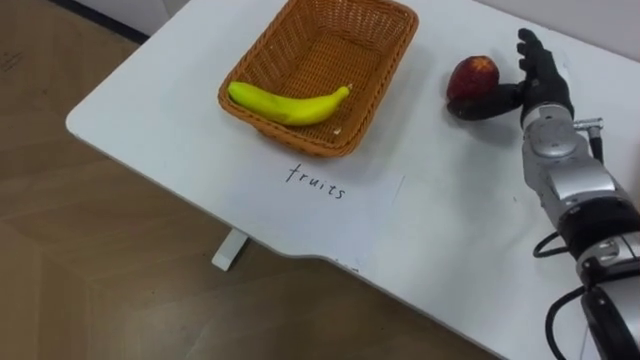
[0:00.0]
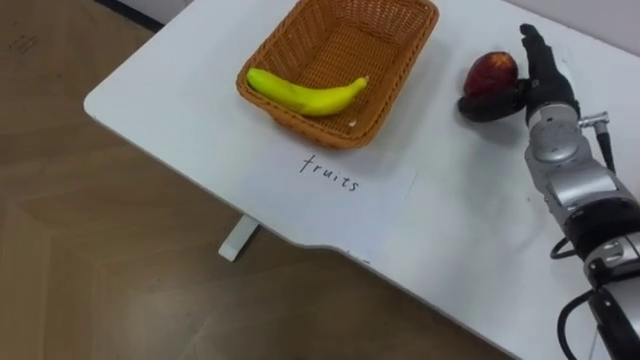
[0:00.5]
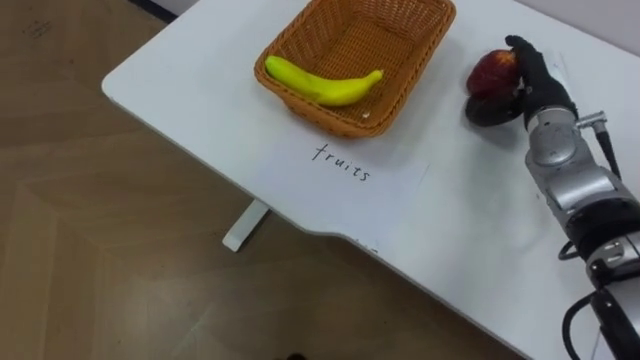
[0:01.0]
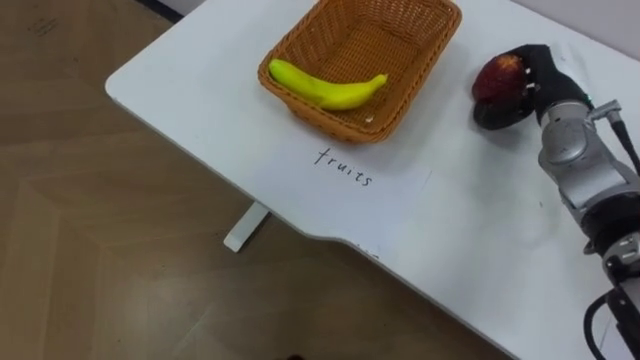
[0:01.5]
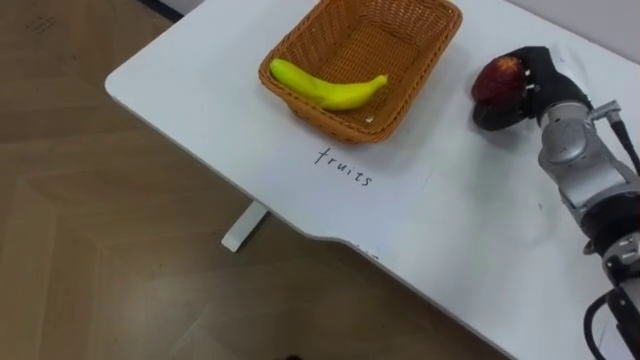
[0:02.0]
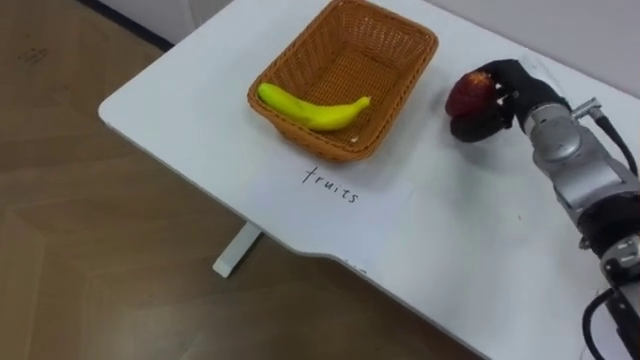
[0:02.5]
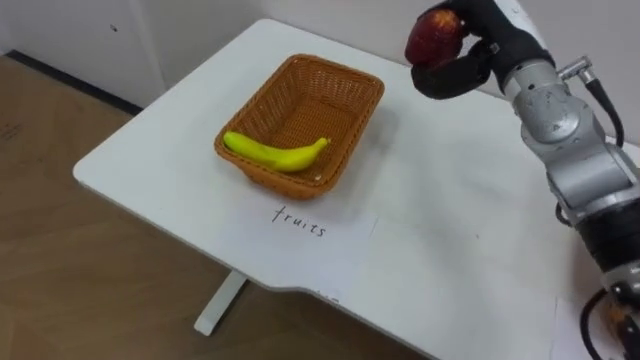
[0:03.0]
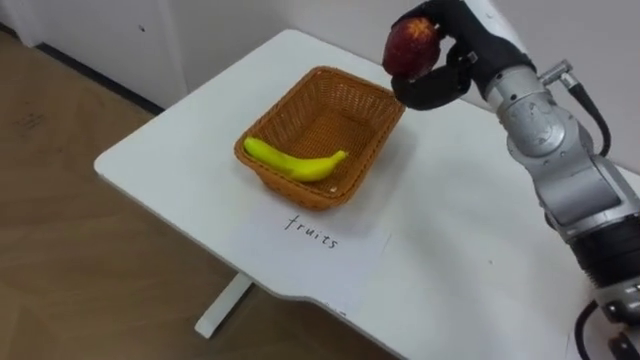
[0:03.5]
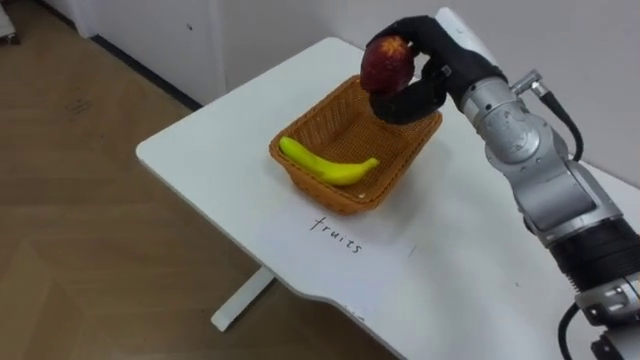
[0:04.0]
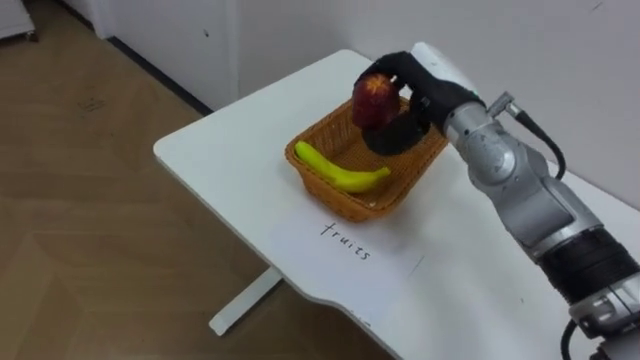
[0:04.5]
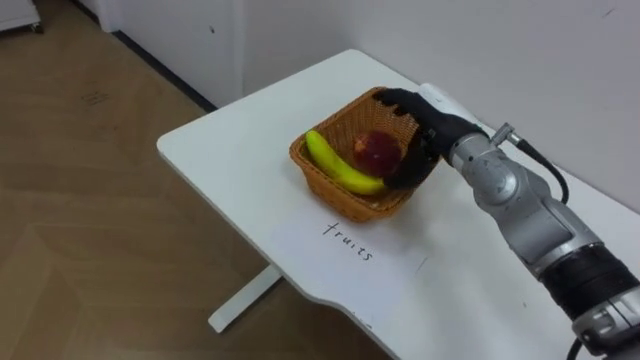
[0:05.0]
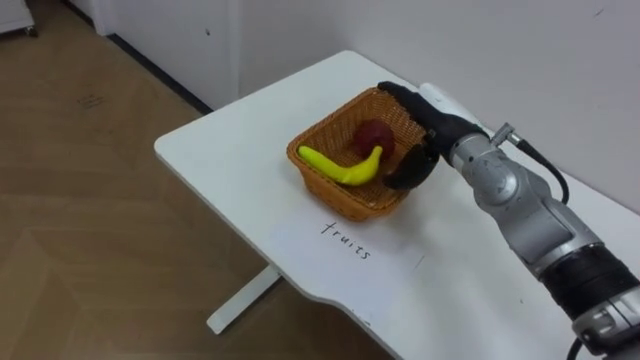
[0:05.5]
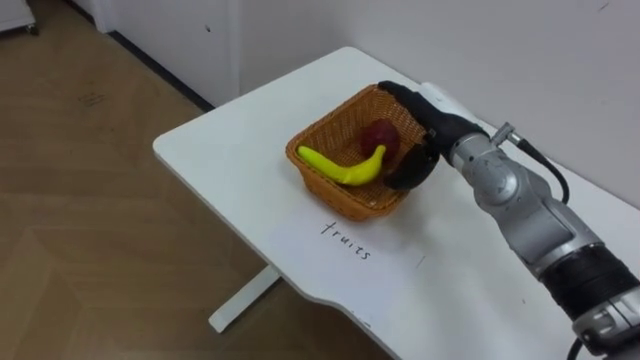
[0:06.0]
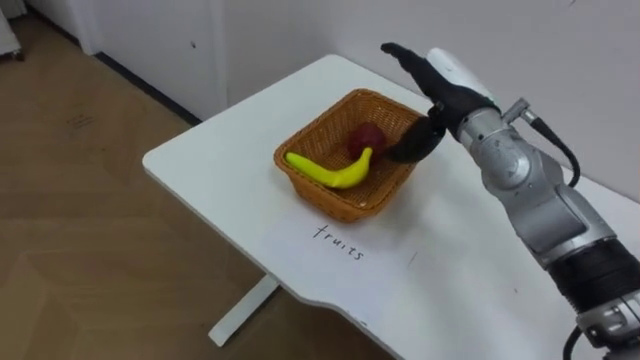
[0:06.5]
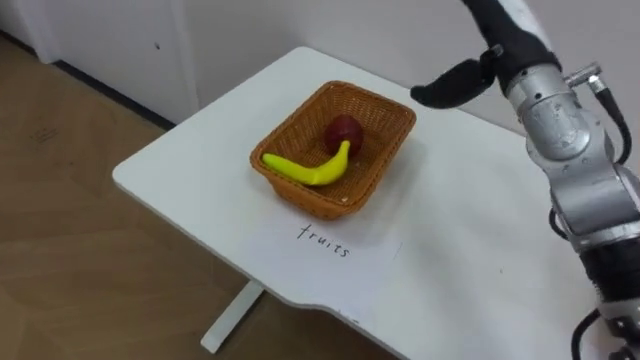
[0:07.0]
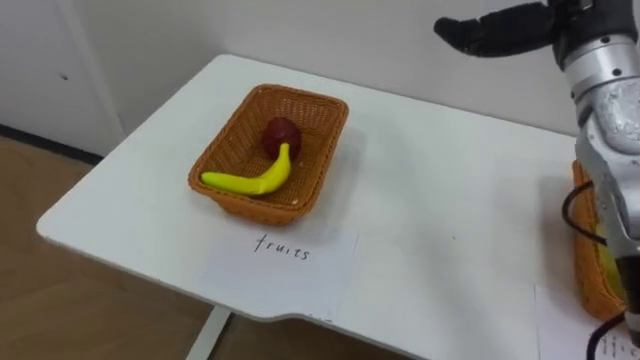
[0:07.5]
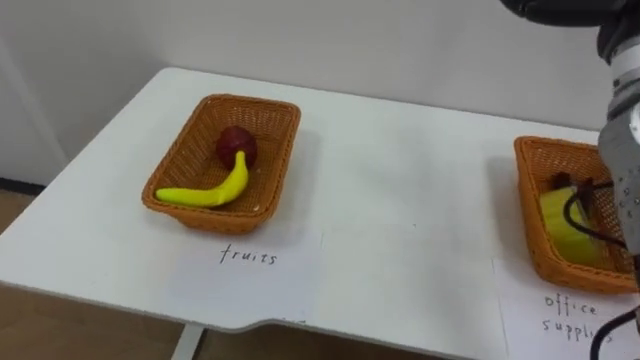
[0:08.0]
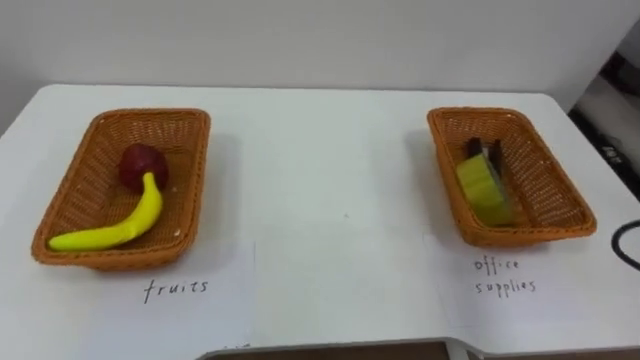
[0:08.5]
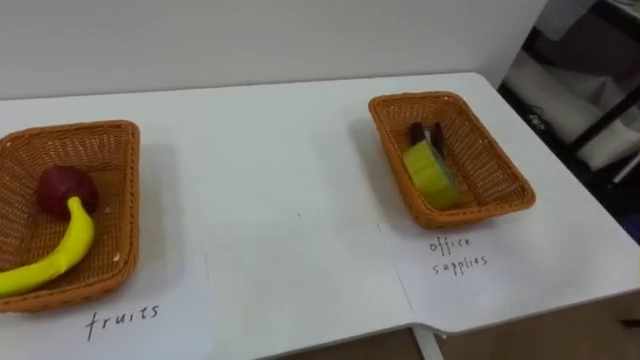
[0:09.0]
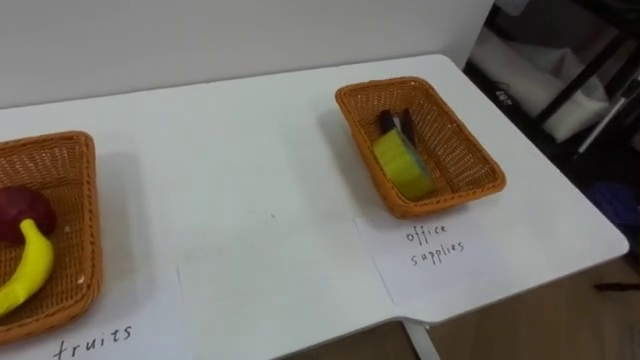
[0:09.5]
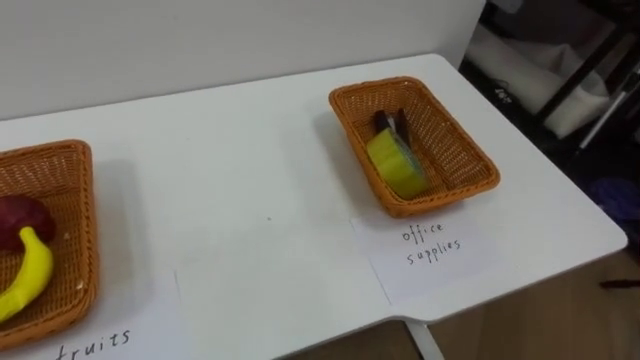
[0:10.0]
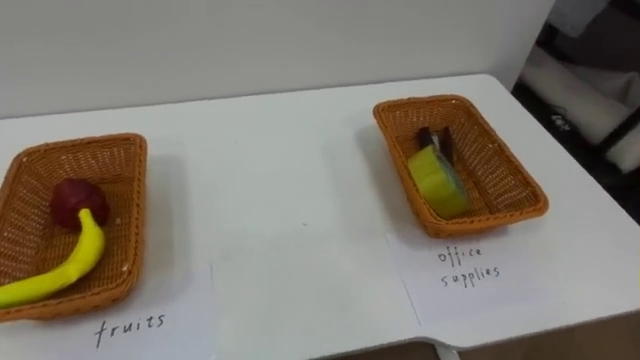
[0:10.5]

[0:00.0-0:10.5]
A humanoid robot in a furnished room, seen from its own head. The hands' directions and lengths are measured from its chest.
Task of the whole recording: Separate the items on the table and place them into the two baskets.
0:00.0 to 0:02.0: The right hand closes up.
0:02.0 to 0:04.0: The right hand travels to the left and upward by about 15 cm.
0:04.0 to 0:06.5: The right hand opens.

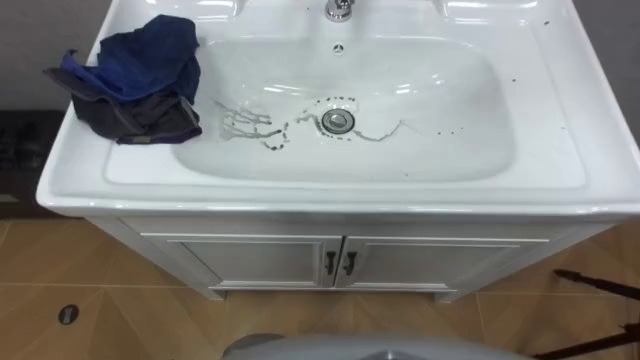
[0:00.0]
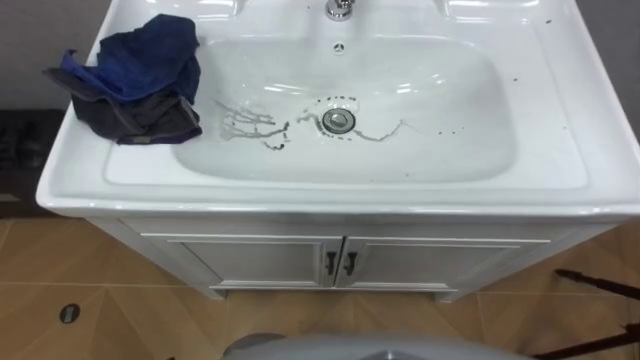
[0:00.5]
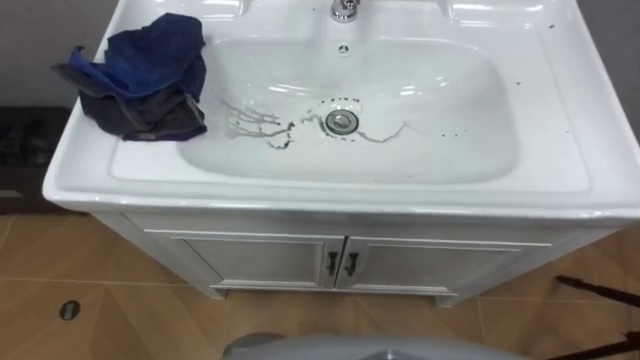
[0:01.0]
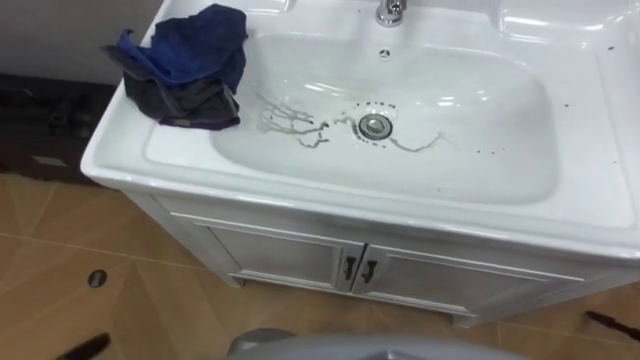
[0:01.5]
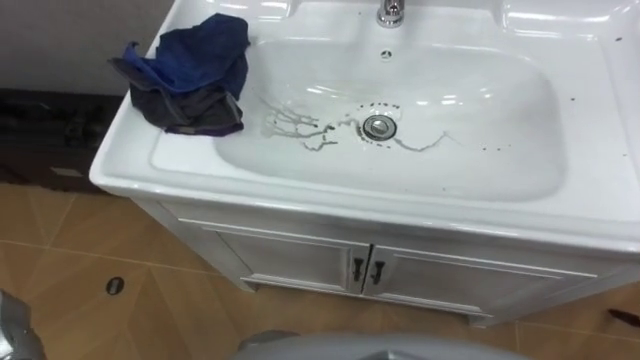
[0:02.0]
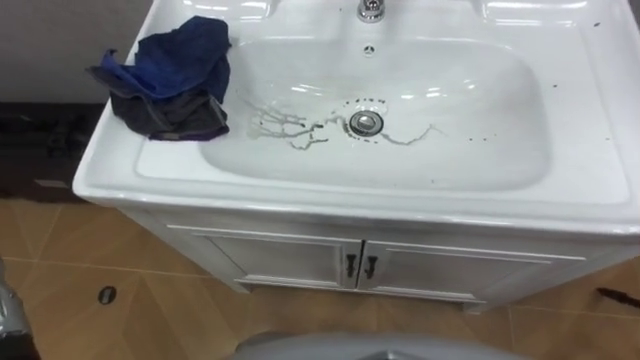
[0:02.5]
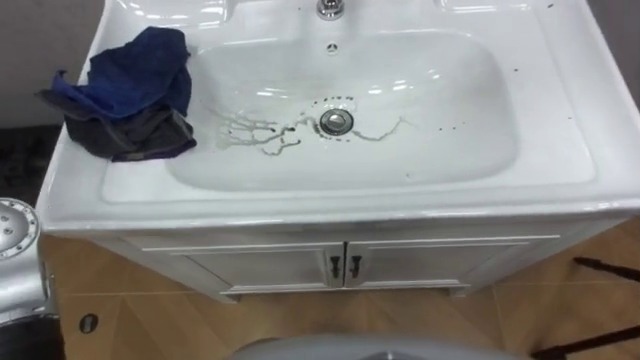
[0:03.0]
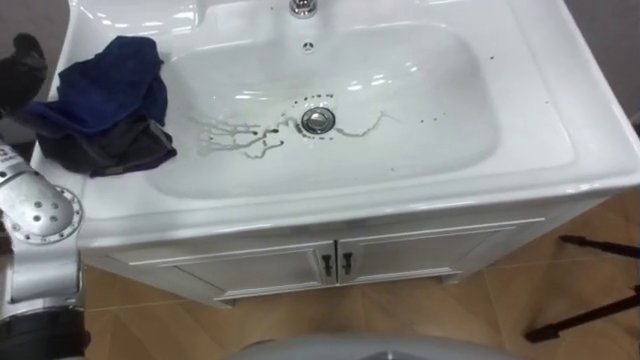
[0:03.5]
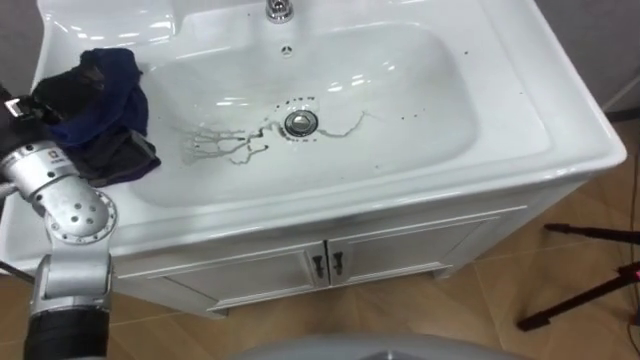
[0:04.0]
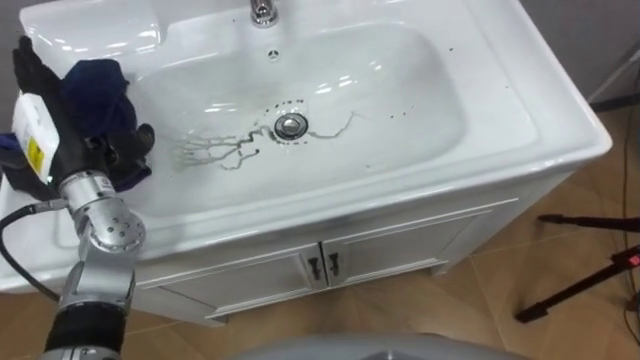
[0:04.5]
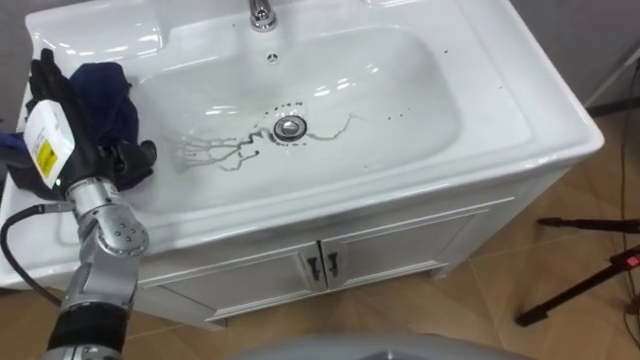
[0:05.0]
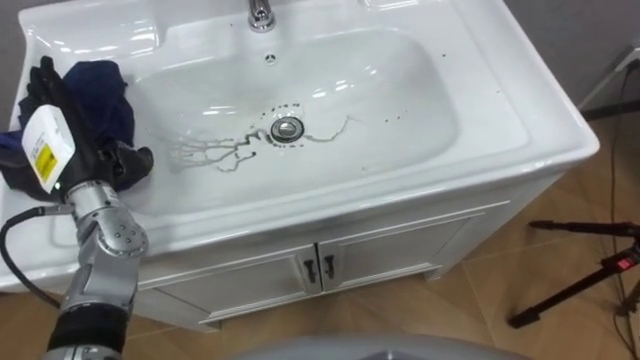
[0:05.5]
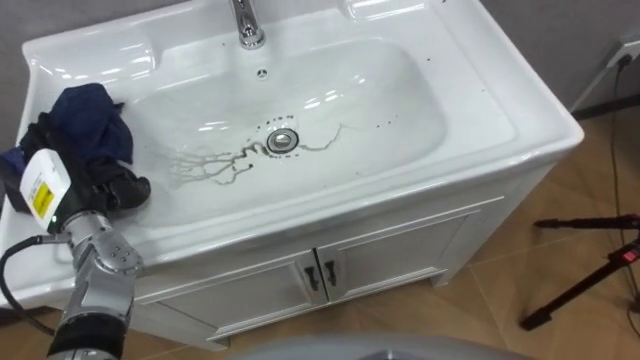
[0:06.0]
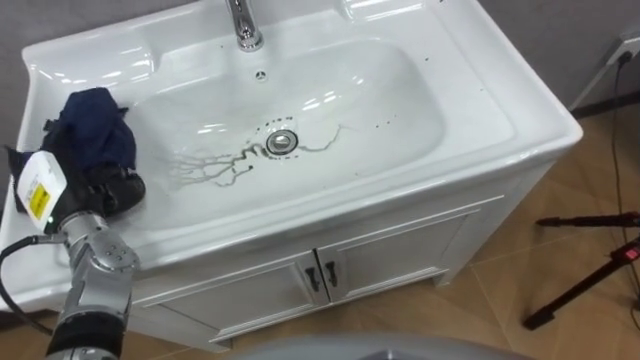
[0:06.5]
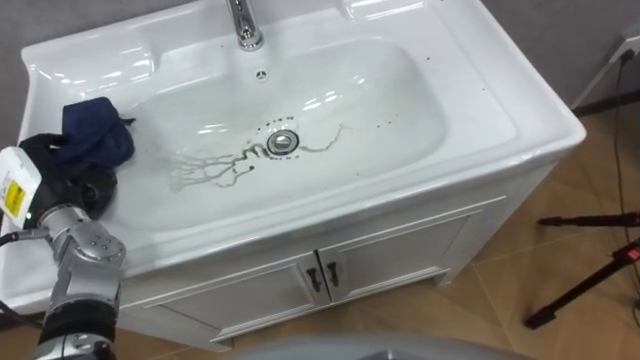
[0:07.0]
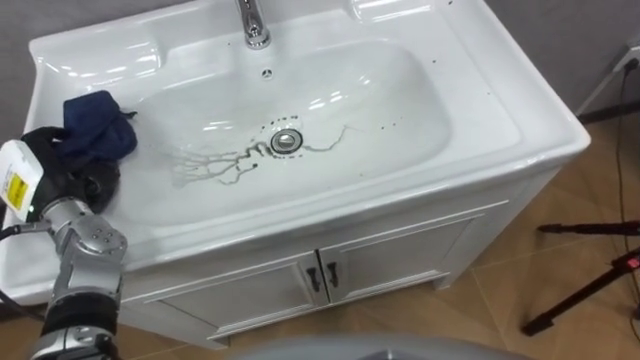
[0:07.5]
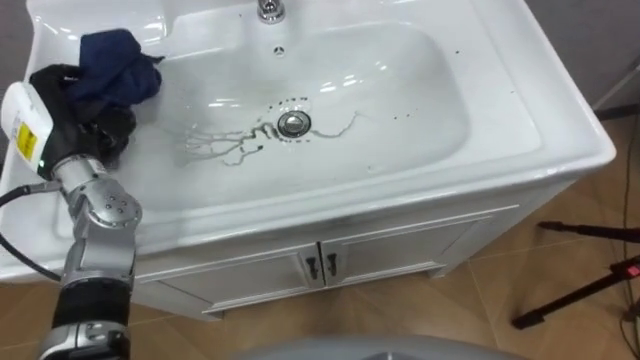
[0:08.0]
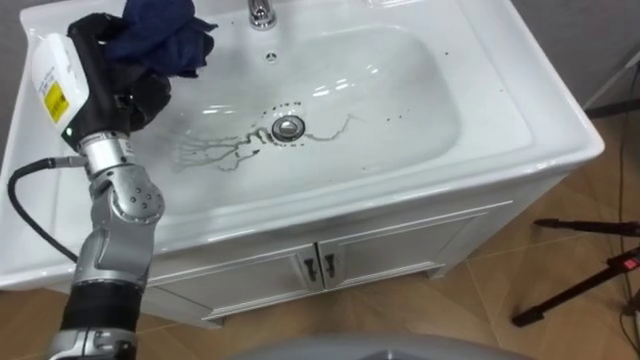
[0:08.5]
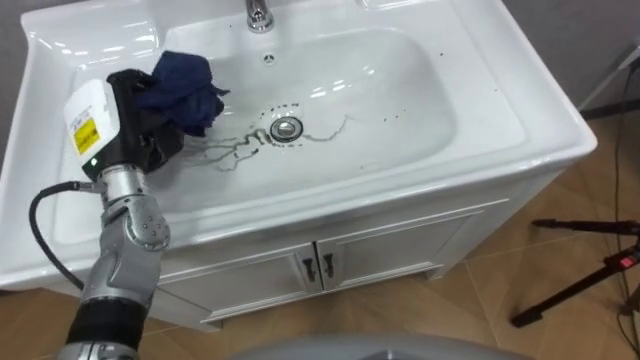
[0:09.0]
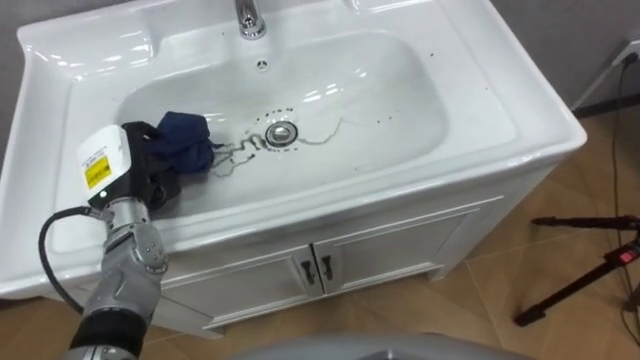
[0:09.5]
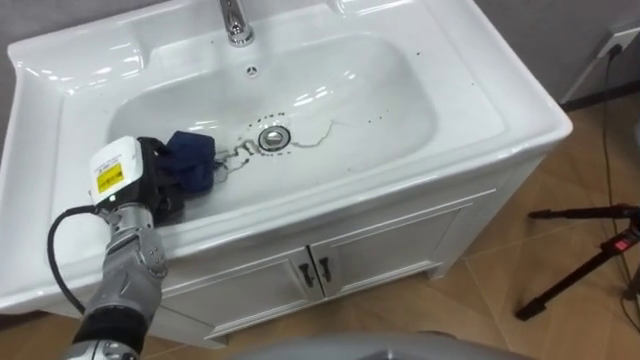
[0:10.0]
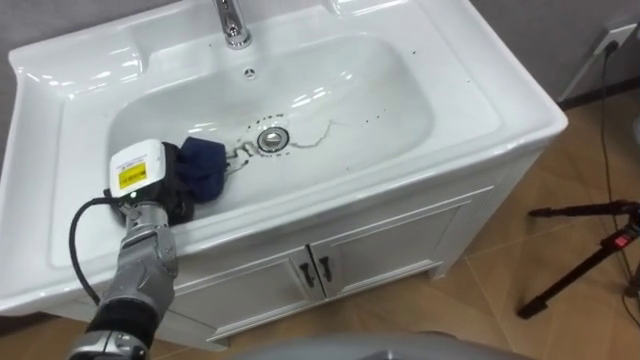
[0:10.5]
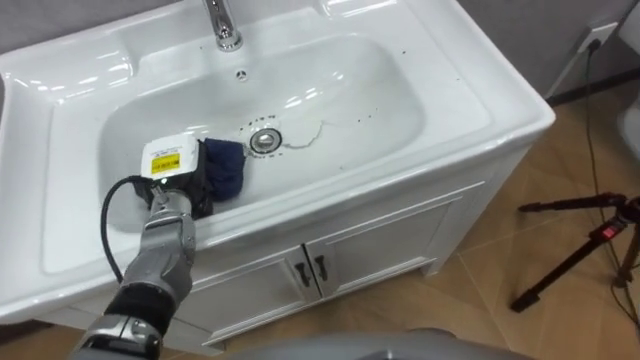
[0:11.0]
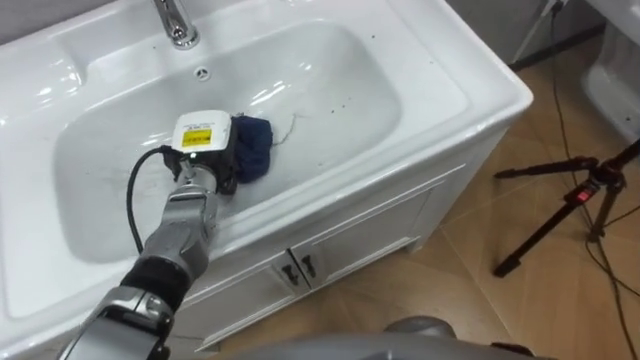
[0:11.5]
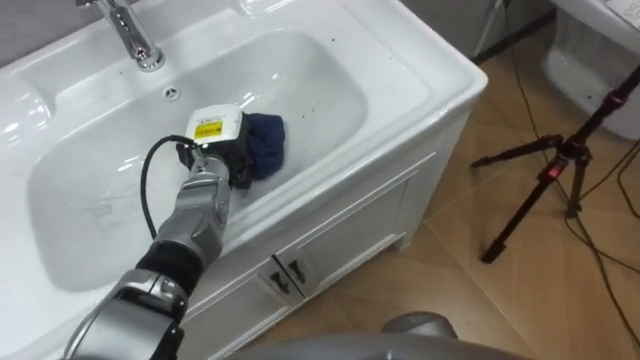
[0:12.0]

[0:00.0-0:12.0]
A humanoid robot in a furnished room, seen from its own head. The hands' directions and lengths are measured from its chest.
Task of the whole recording: Use the cloth on the right to wipe away the black stain in the sink.
0:06.0 to 0:08.0: The left hand moves upward, approximately 5 cm, and closes.
0:08.0 to 0:10.0: The left hand goes approximately 10 cm downward.
0:10.0 to 0:12.0: The left hand goes roughly 15 cm to the right and forward.
